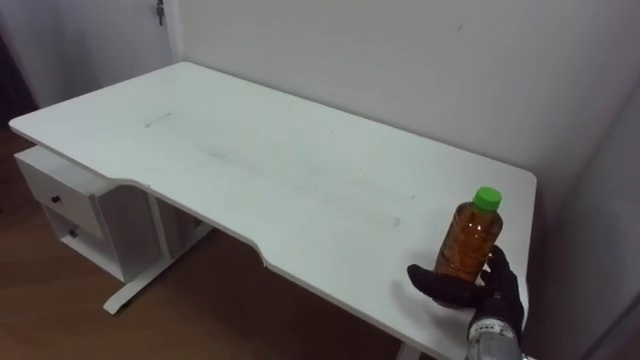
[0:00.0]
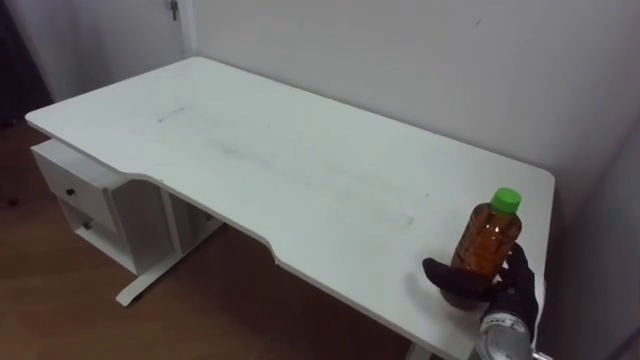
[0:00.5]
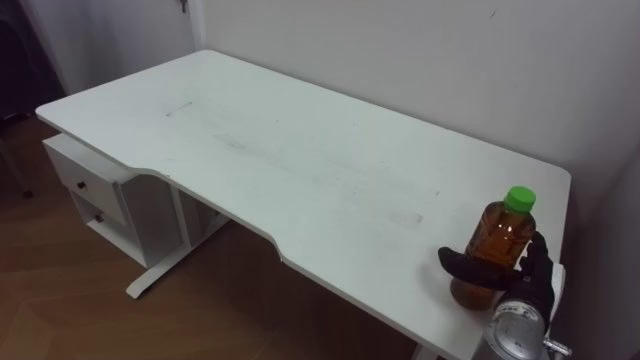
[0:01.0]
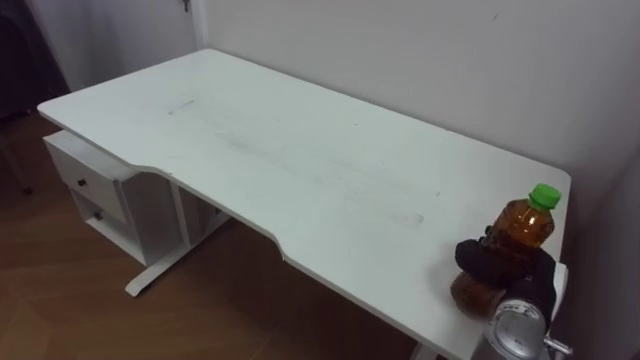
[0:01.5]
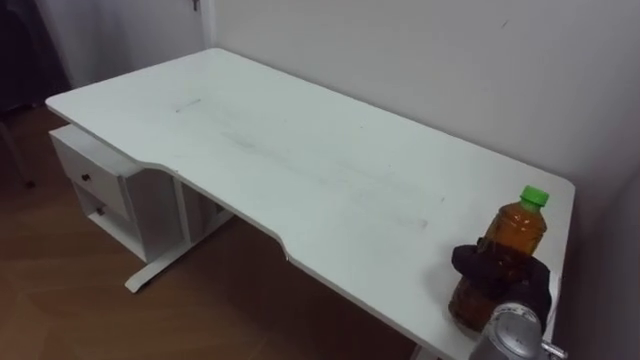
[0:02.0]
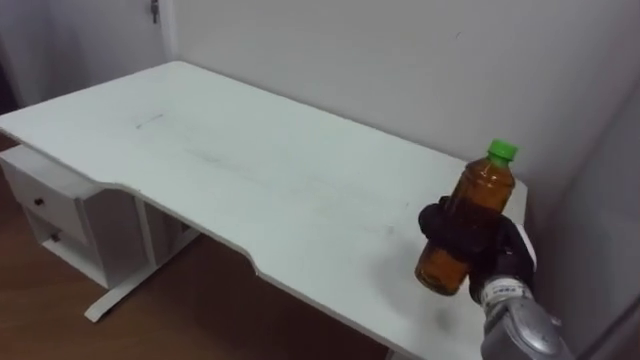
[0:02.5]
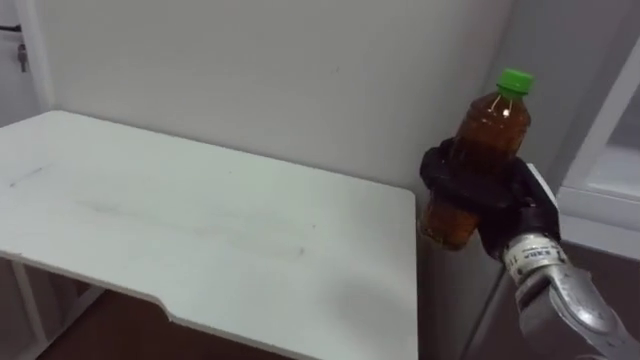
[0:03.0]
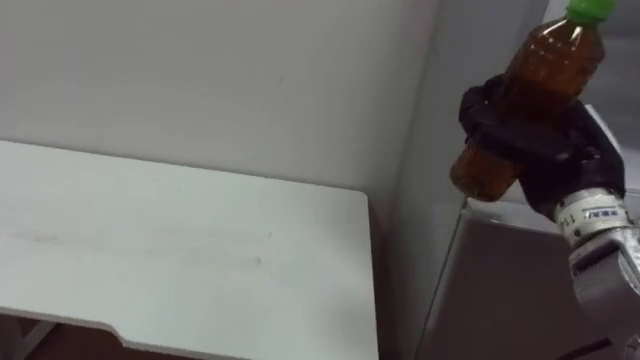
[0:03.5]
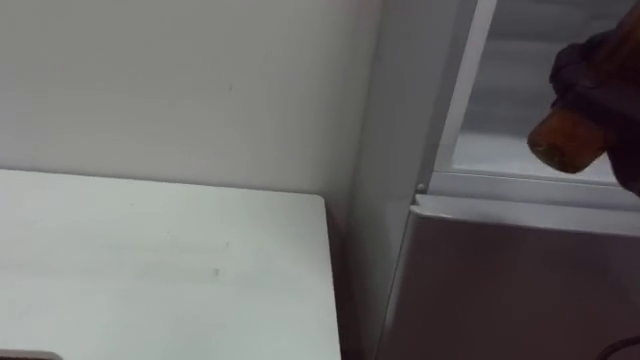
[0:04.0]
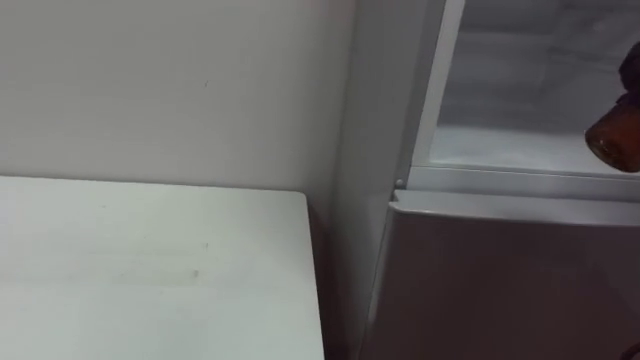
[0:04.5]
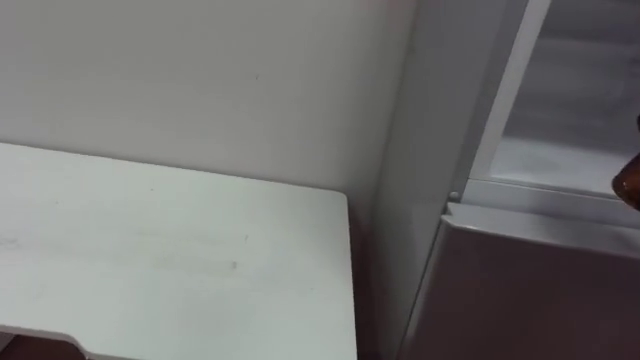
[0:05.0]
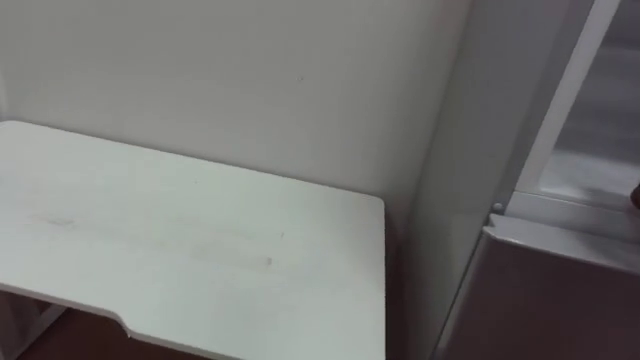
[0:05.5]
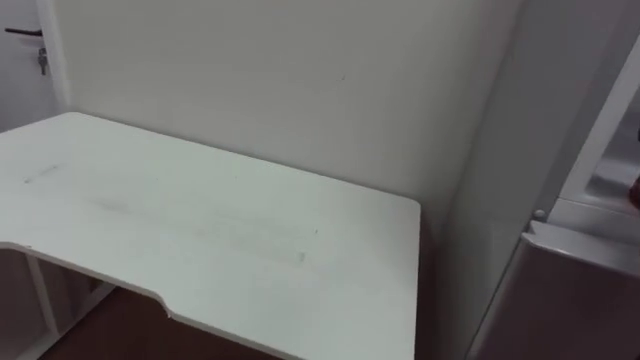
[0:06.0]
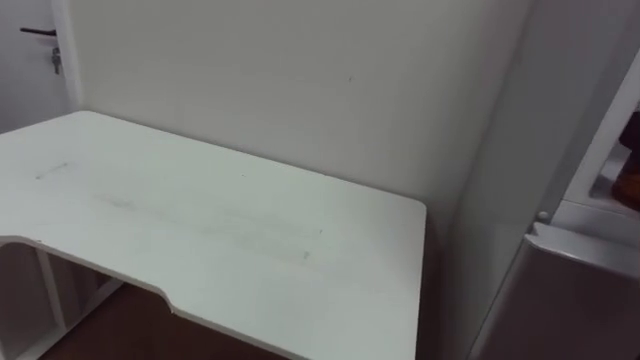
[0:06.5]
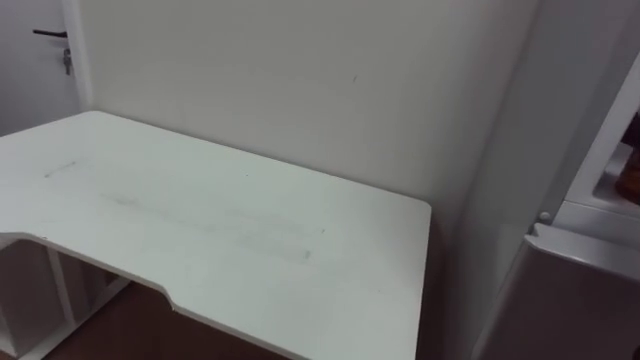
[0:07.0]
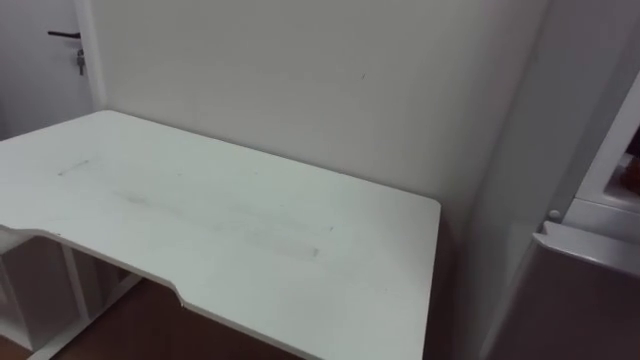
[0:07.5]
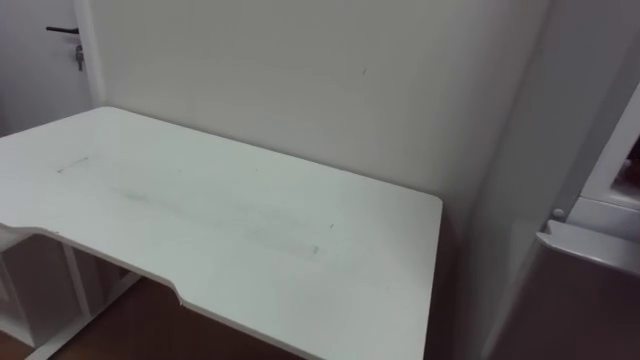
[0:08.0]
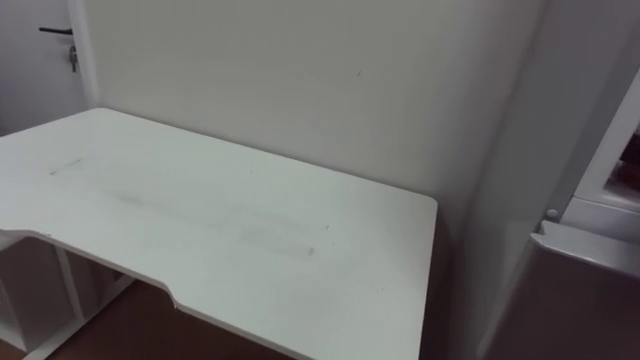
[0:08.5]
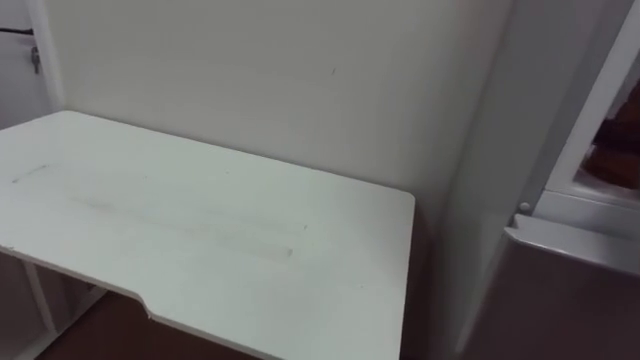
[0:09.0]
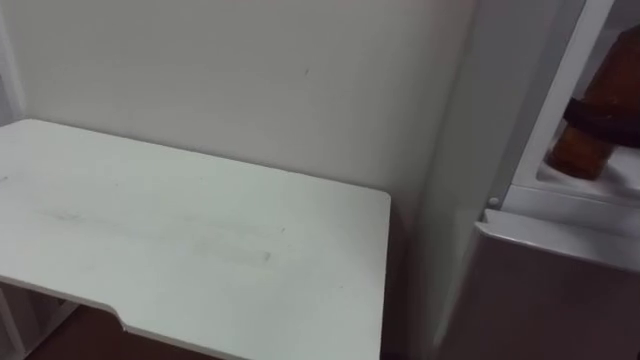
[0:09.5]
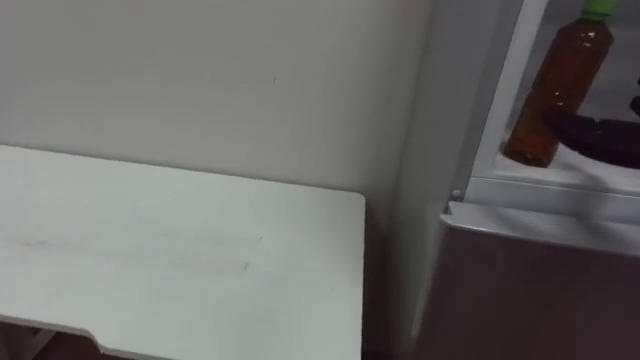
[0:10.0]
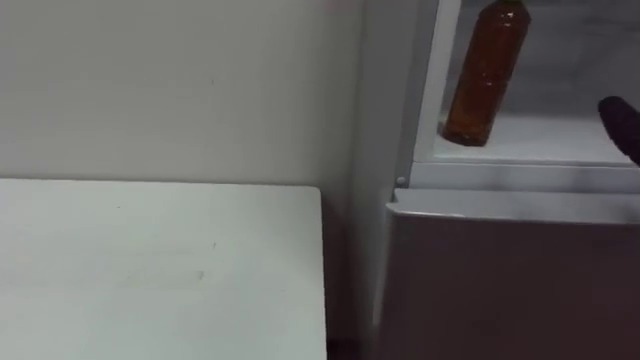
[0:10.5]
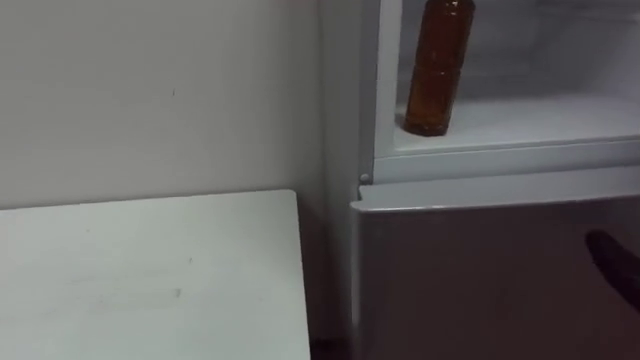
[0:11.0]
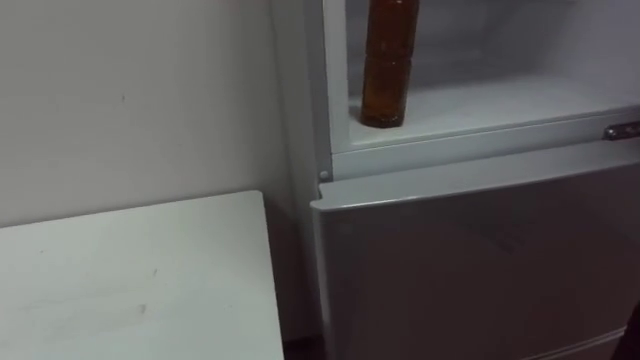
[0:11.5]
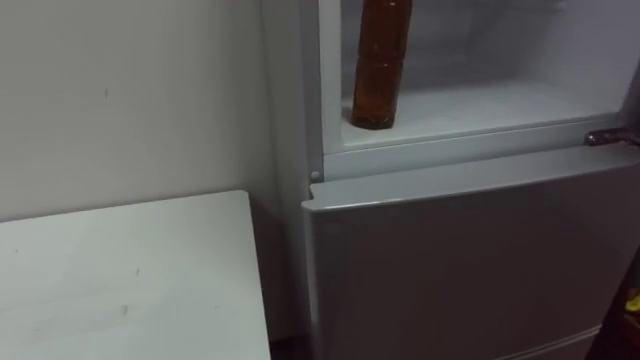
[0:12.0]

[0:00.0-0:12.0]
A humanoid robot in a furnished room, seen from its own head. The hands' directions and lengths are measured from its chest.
Task of the whole recording: Open the upper refrigerator door, put the drink from the table into the refrigerator, and then close the refrigerator door.
0:00.0 to 0:02.0: The right hand closes.

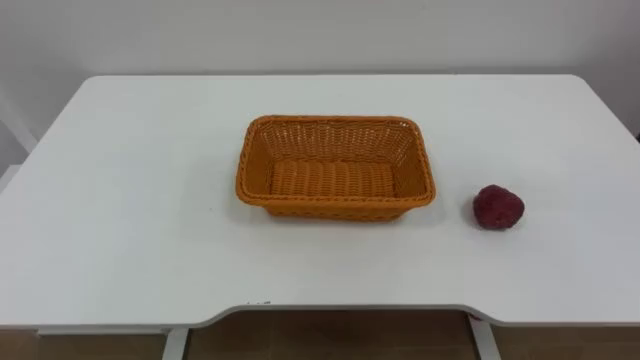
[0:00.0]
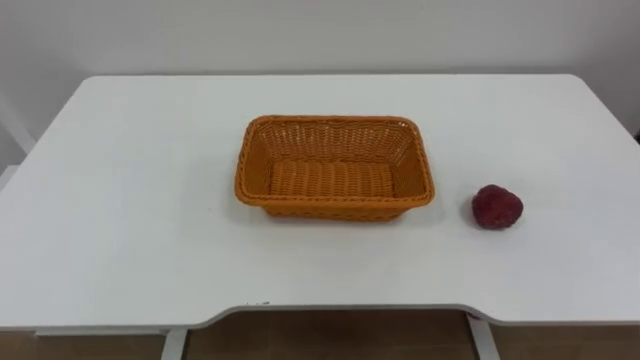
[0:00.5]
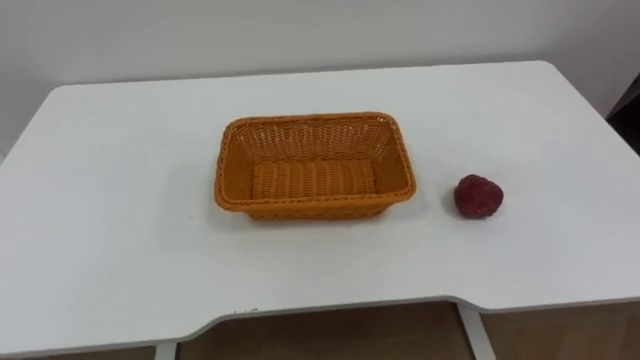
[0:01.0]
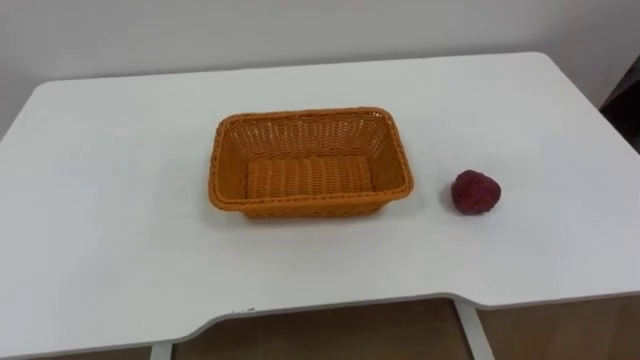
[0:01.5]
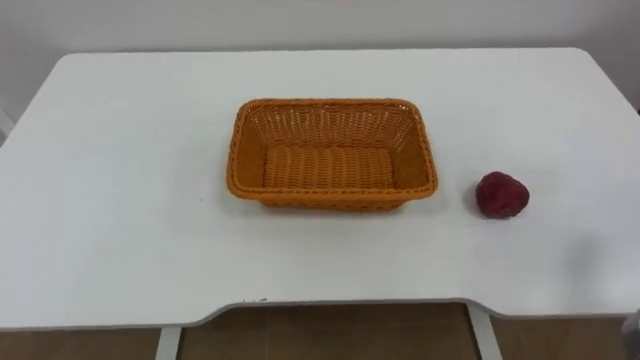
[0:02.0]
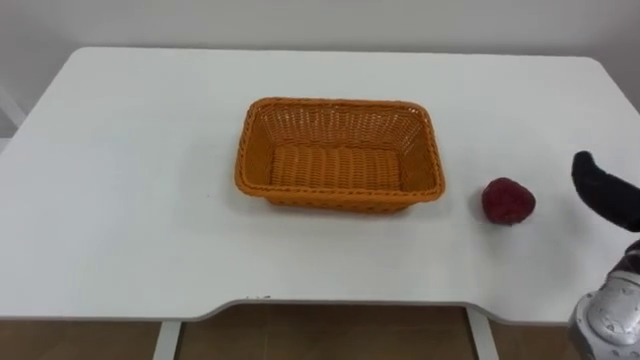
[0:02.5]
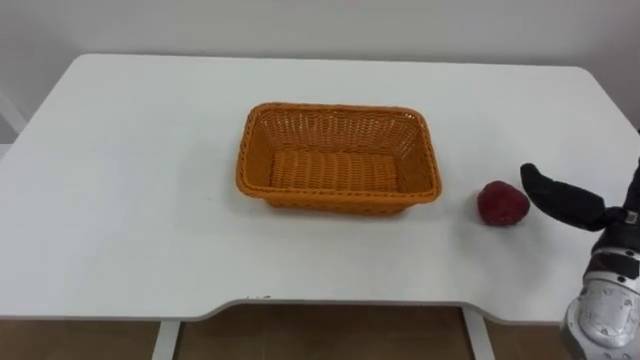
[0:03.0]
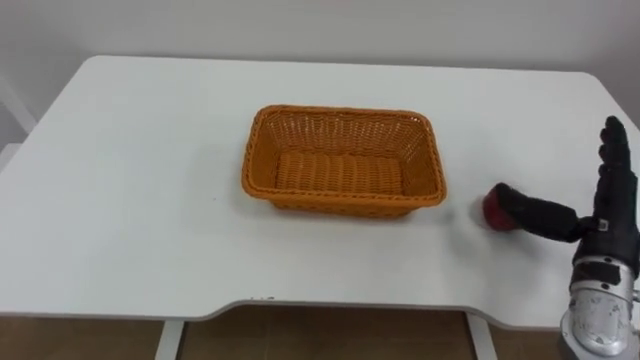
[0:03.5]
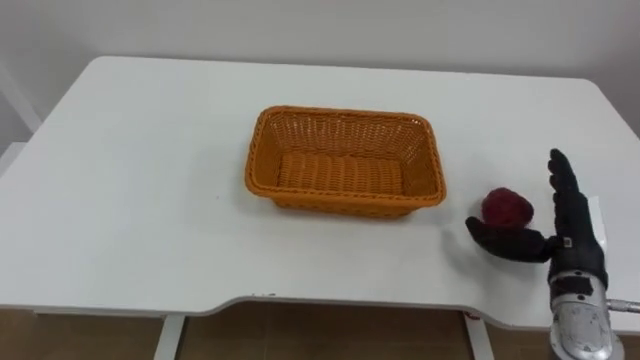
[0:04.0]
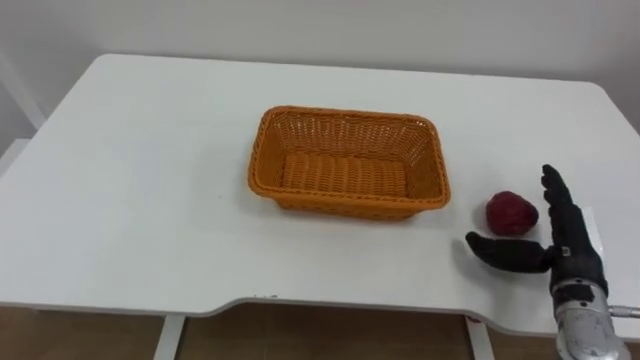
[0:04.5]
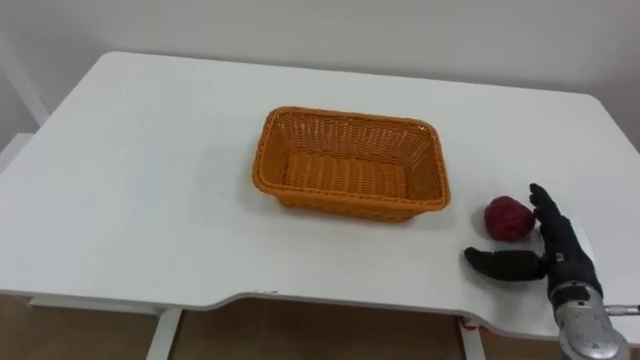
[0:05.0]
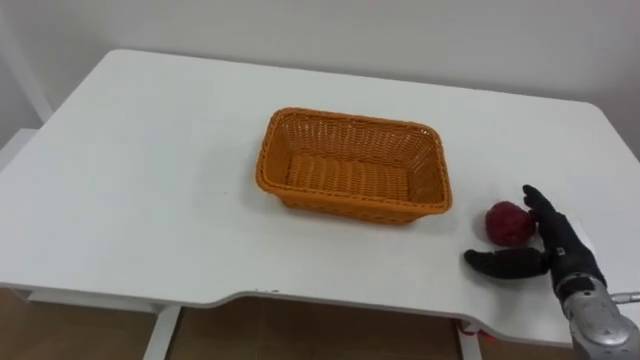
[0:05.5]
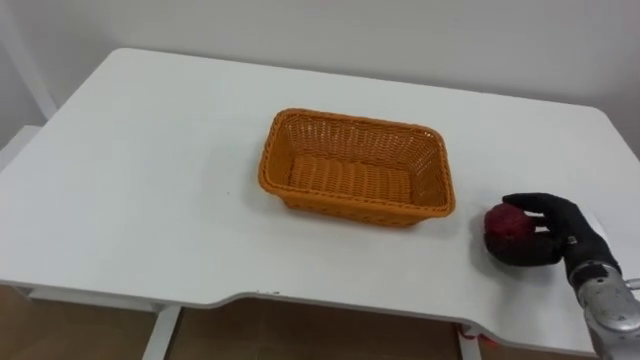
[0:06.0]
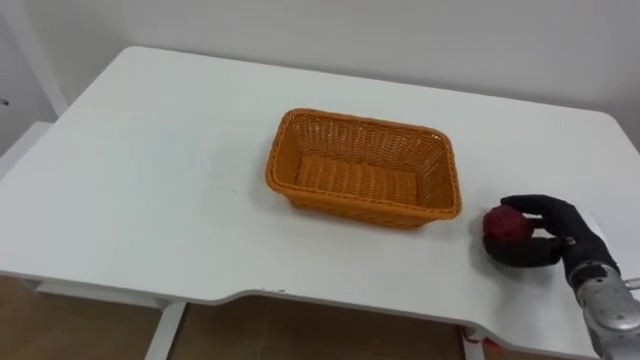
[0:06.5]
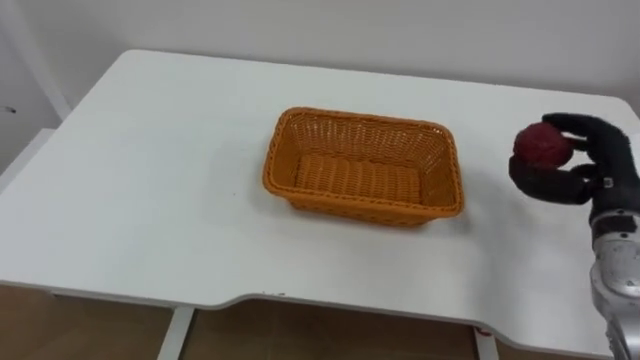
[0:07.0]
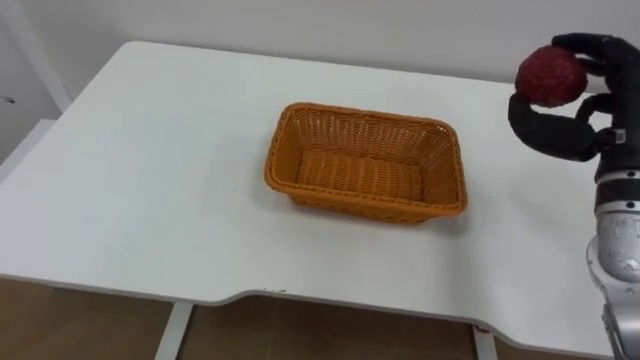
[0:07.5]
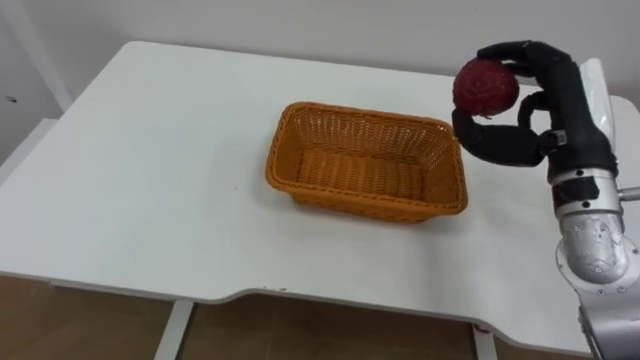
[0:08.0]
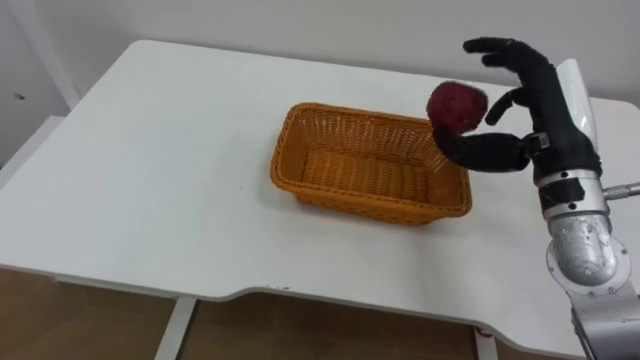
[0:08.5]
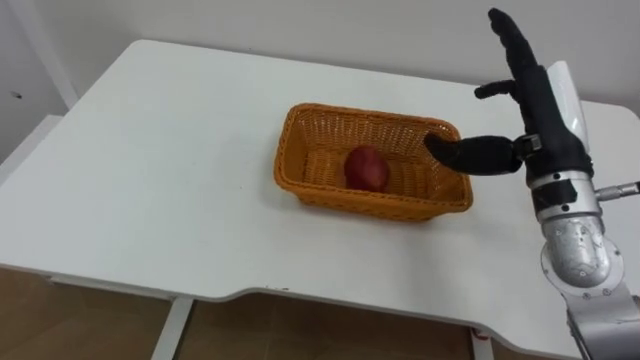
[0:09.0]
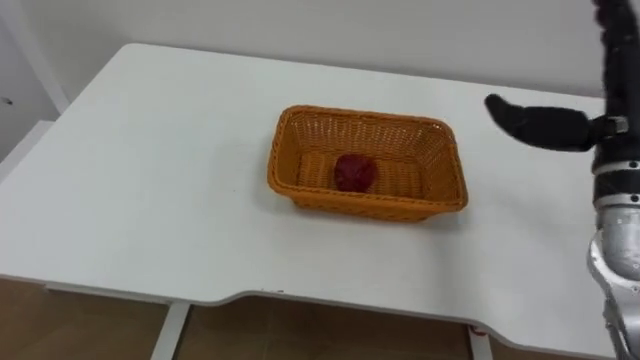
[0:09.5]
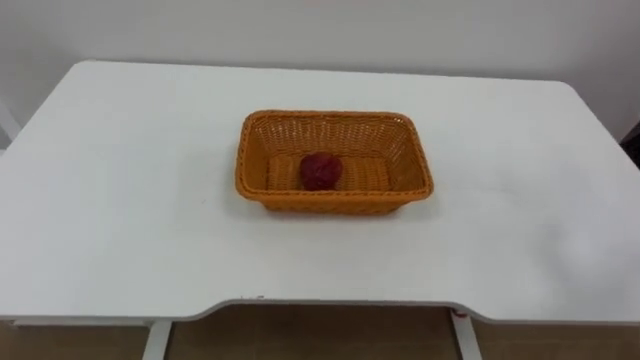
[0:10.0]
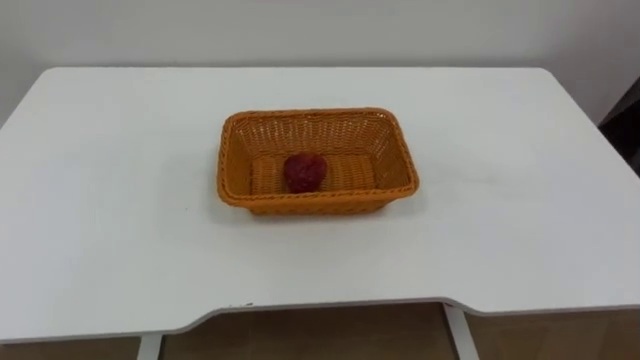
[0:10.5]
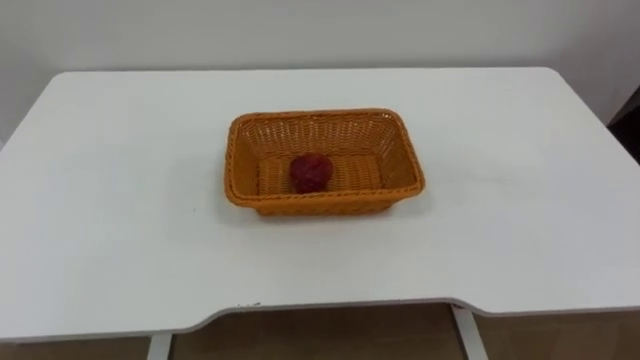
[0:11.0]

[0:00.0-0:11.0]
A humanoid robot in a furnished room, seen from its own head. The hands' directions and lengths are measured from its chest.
Task of the whole recording: Pick the apple and place it in the box.
0:03.5 to 0:05.5: The right hand shifts some 10 cm downward.
0:05.5 to 0:07.5: The right hand shifts approximately 20 cm upward, and closes its fingers.
0:07.5 to 0:09.0: The right hand shifts roughly 10 cm to the left, and opens up.
